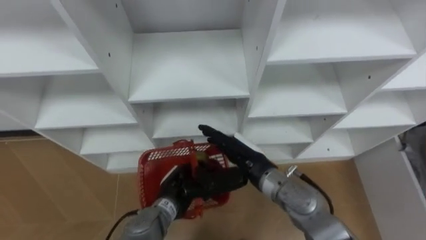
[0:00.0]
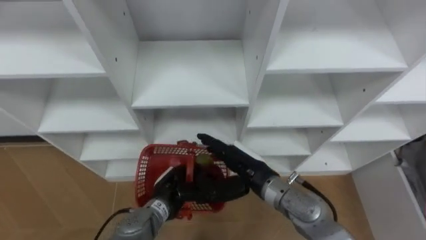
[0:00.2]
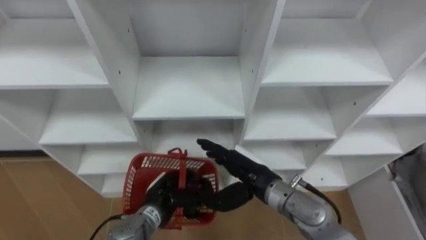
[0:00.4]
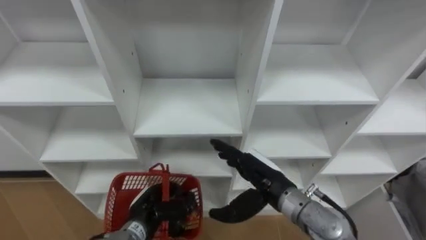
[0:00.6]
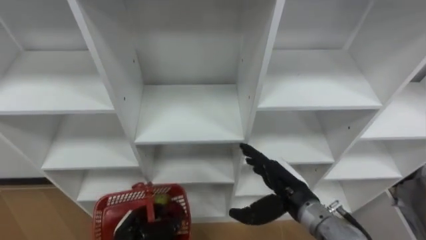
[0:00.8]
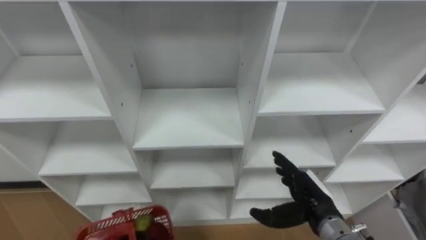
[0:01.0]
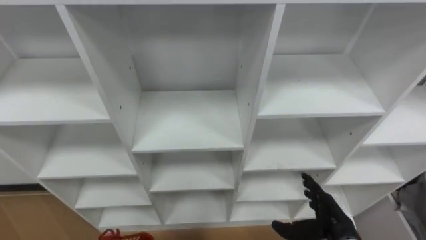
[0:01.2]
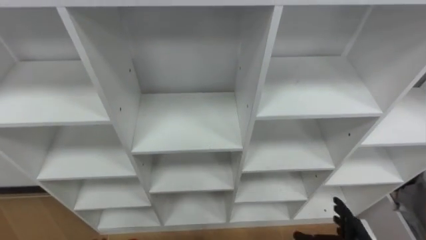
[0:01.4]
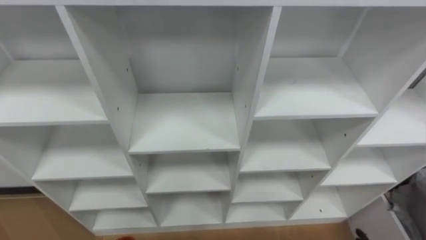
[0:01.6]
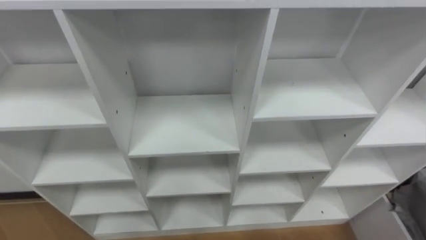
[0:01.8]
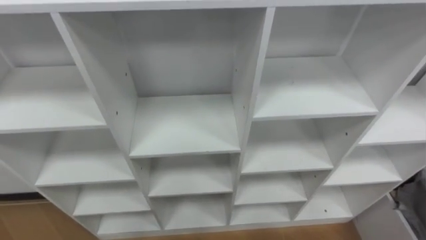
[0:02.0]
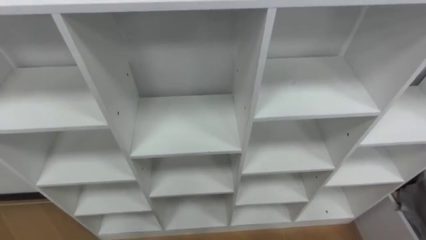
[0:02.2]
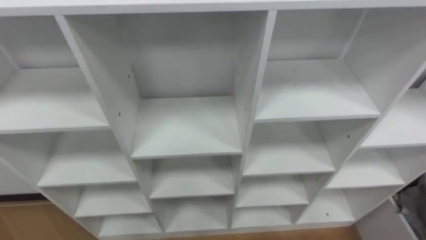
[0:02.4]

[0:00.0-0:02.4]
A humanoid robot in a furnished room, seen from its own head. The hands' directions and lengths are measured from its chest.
Task of the whole recording: Hold the basket and collect the fruits from 3 different cells of the closet into it.
0:00.0 to 0:01.2: The right hand goes about 20 cm to the right, backward and downward.

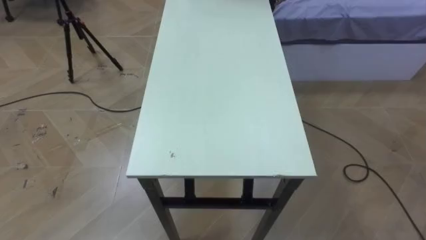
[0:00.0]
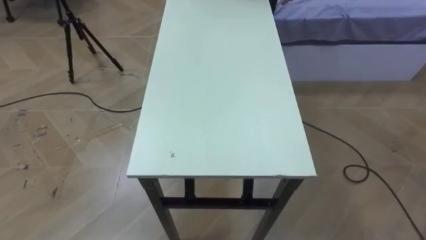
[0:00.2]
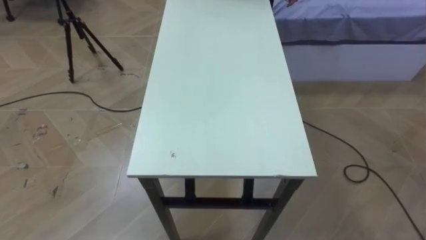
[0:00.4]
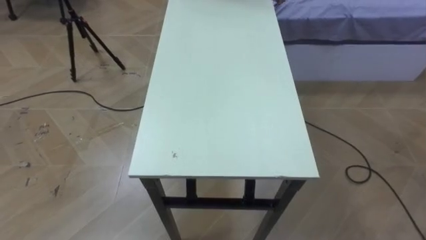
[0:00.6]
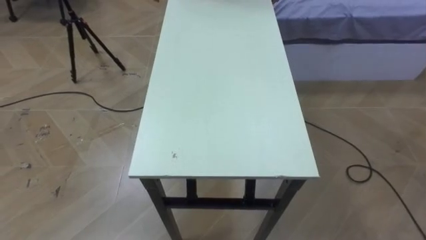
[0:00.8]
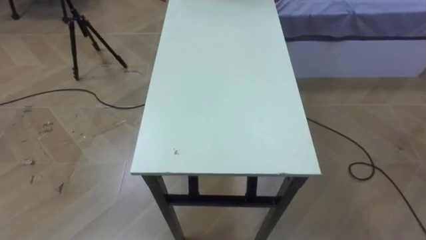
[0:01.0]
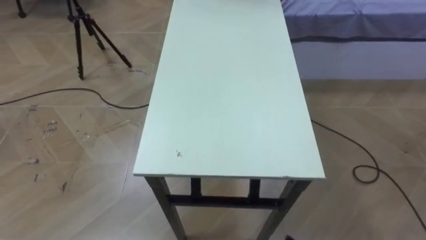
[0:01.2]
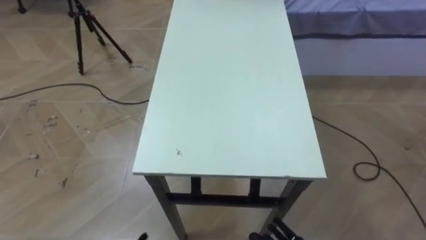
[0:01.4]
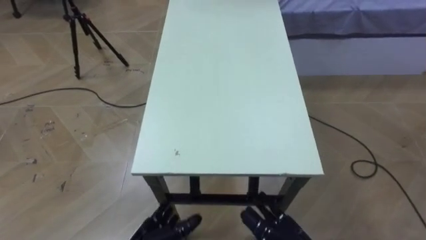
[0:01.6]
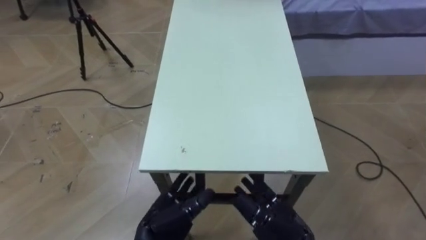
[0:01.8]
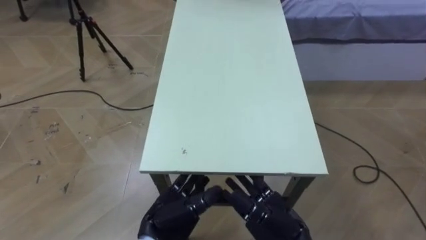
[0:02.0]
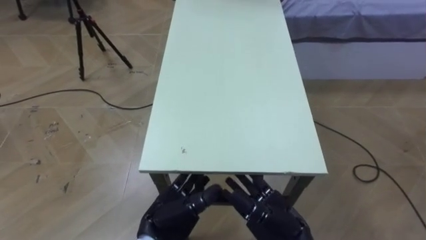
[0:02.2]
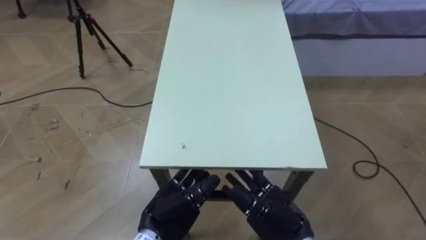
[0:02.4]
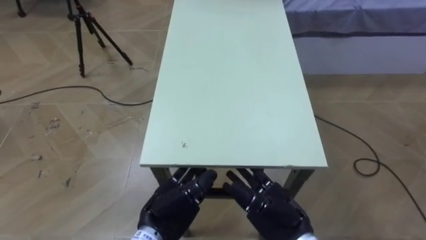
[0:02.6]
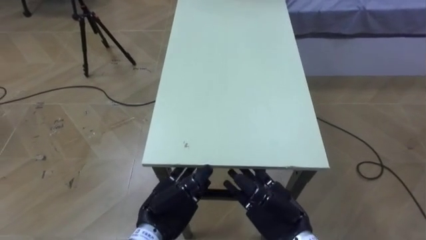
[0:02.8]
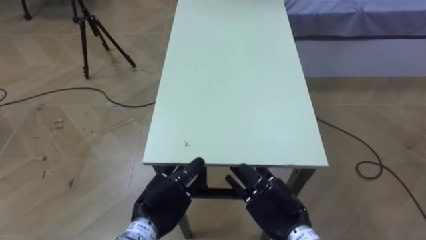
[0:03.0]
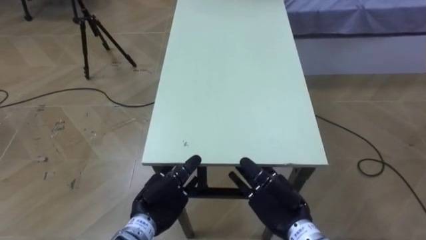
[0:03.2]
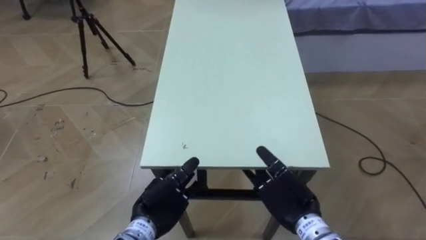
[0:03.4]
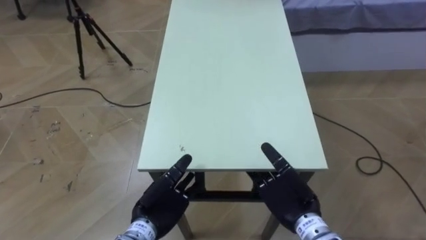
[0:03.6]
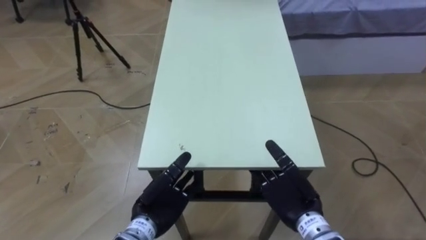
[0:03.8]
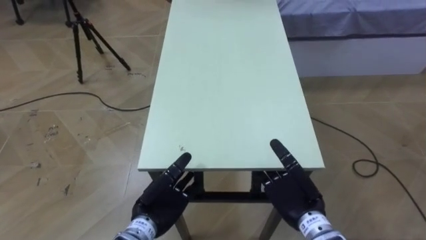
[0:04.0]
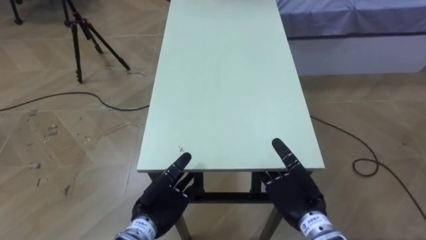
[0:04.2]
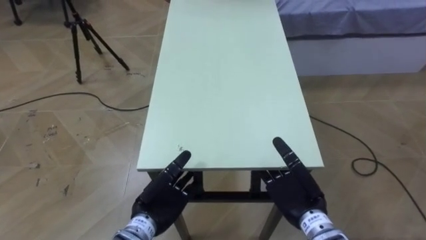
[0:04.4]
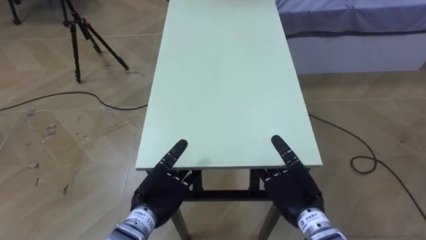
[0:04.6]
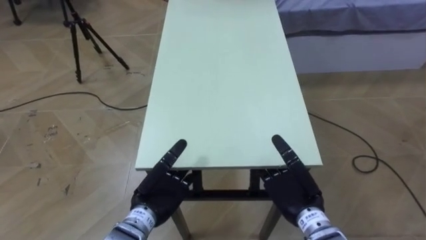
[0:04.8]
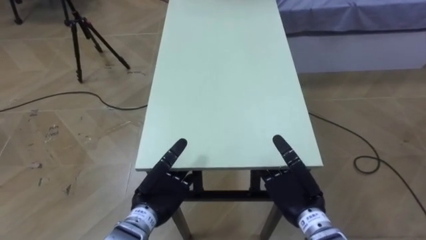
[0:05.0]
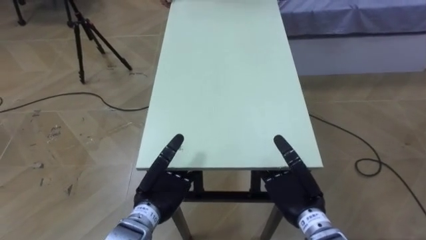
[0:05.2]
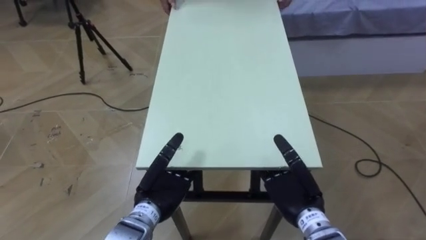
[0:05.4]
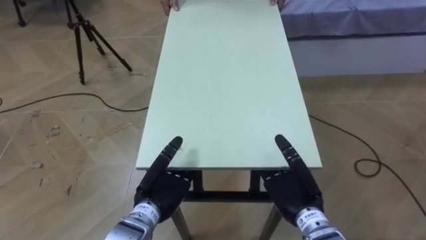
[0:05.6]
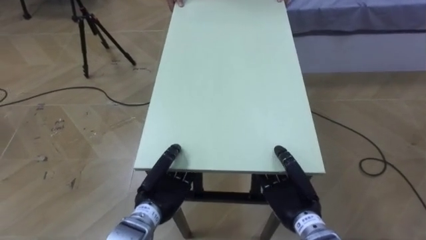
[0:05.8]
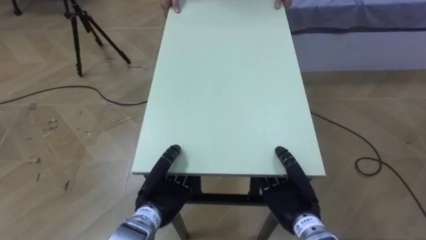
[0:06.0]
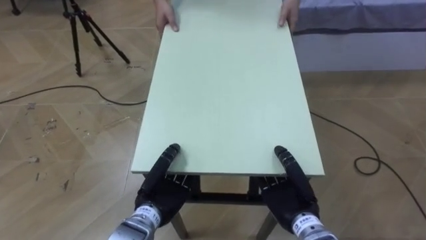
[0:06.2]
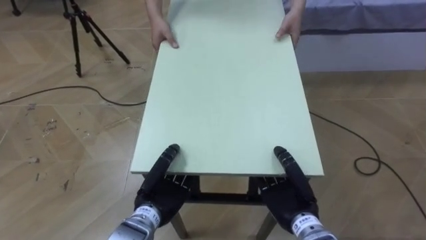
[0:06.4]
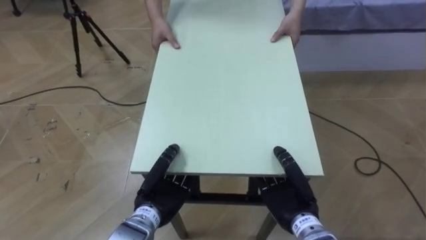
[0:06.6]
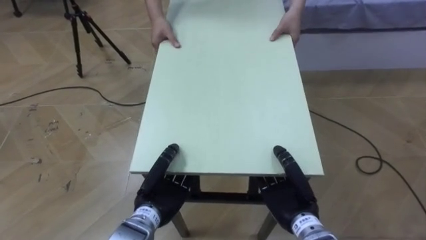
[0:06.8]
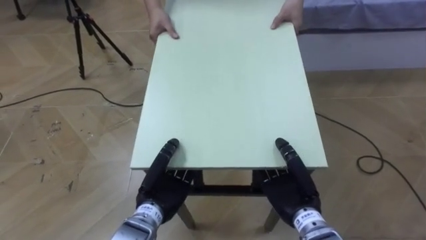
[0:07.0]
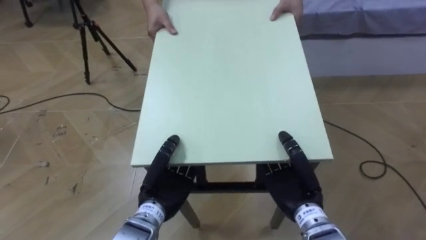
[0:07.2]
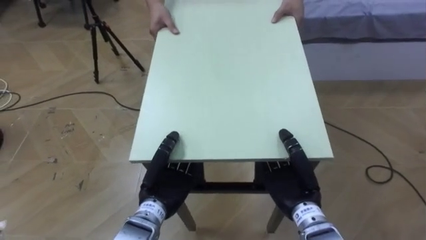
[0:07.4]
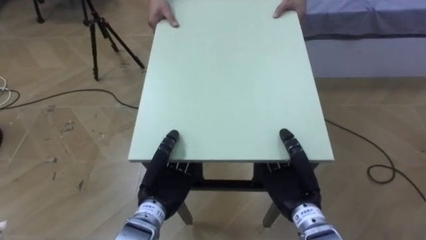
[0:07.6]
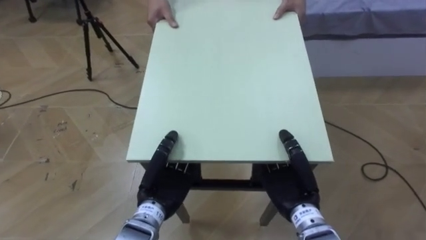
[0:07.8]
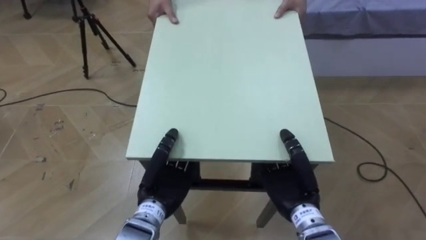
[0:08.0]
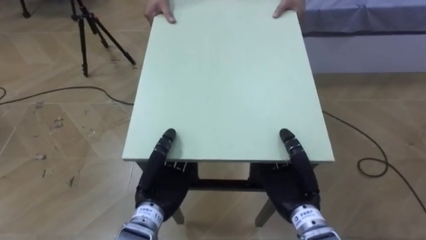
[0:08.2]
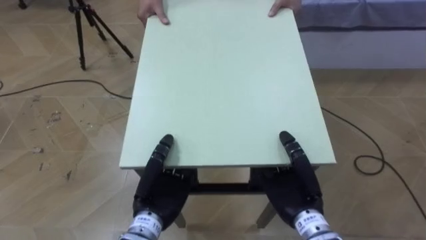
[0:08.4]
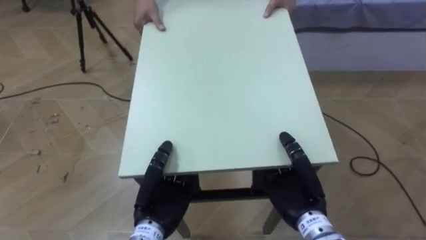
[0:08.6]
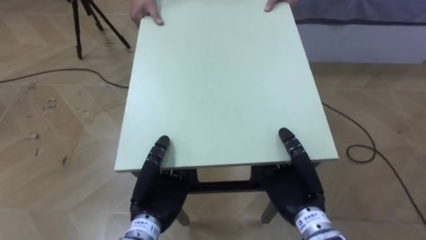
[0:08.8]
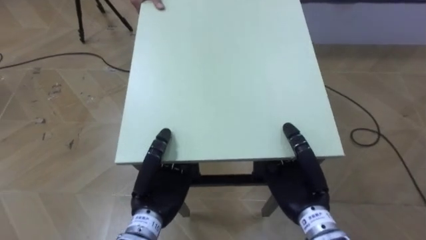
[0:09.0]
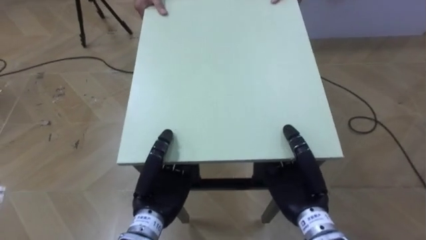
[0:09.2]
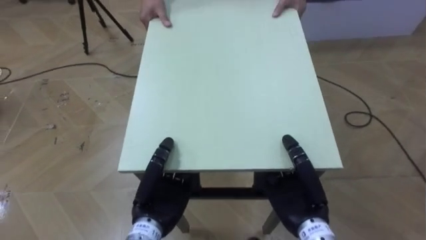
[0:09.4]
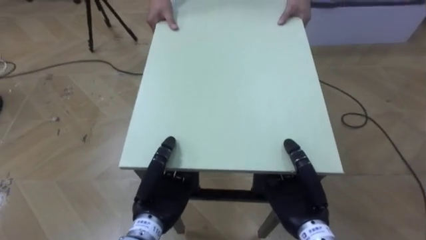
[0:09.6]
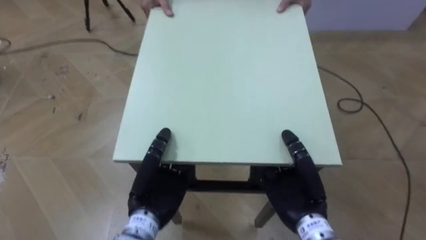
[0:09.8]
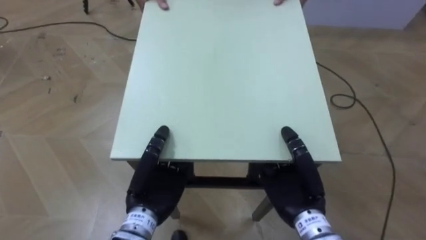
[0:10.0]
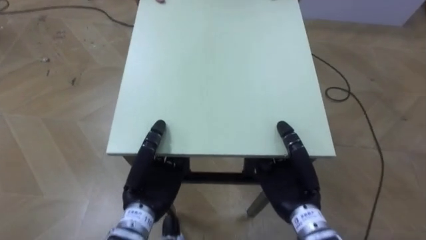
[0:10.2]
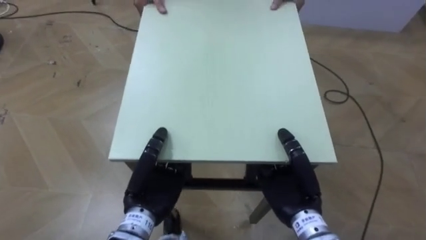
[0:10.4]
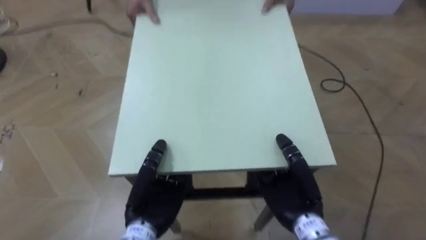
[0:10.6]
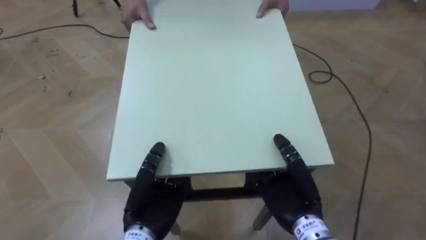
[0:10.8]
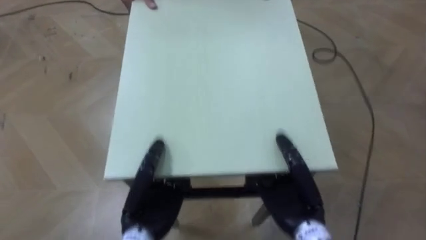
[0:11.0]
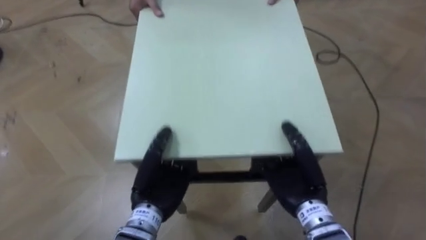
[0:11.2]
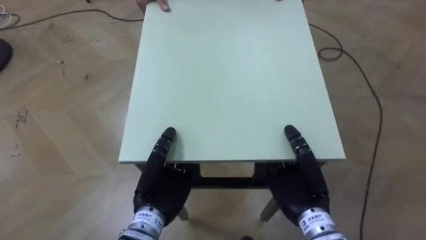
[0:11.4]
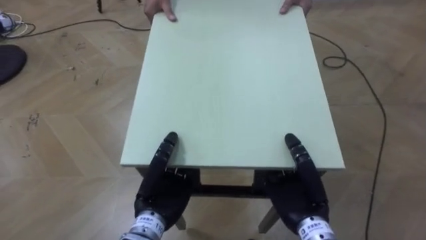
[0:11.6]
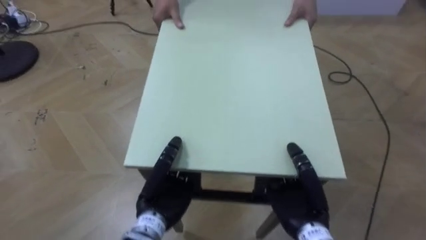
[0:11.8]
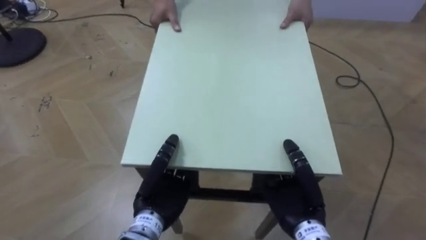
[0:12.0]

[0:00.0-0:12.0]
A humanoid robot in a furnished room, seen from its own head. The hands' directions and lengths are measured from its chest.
Task of the whole recording: Move the table to the back left with someone.
0:03.0 to 0:04.4: There are only small adjustments of the hands.
0:04.4 to 0:06.0: The left hand closes. The right hand closes its fingers.

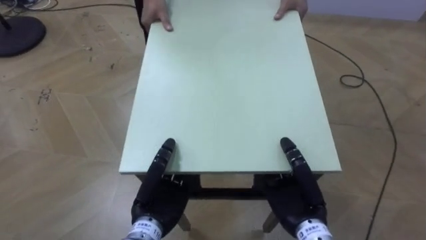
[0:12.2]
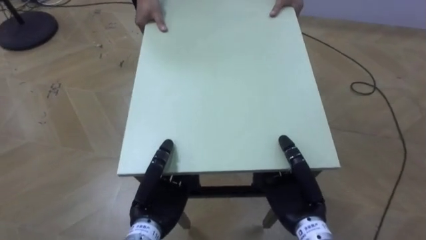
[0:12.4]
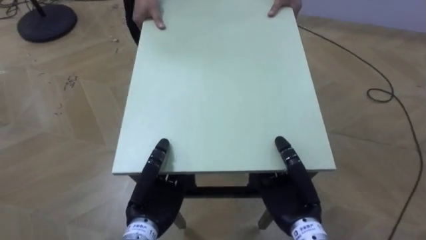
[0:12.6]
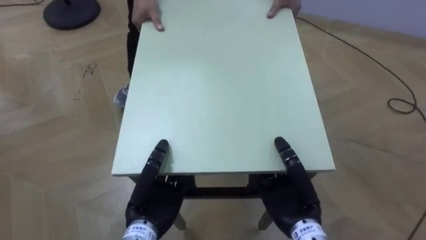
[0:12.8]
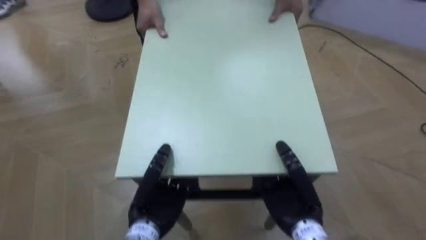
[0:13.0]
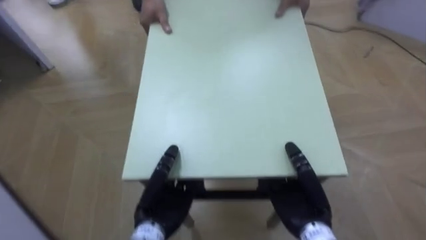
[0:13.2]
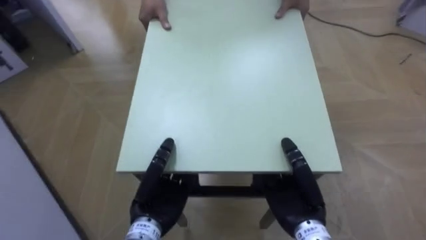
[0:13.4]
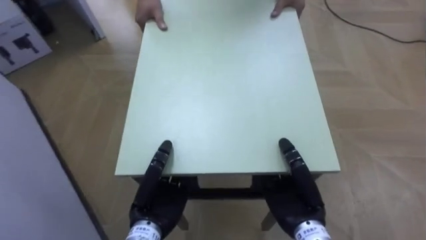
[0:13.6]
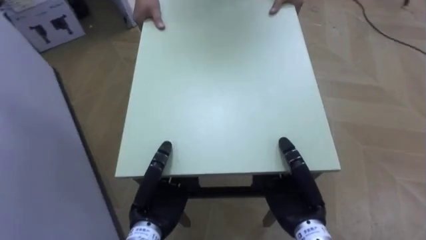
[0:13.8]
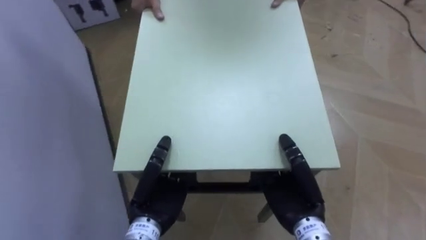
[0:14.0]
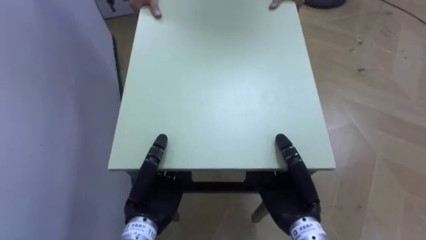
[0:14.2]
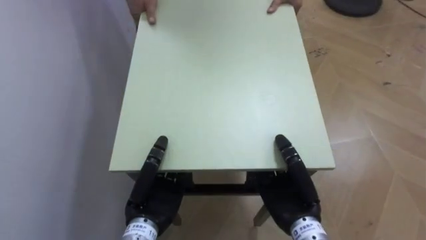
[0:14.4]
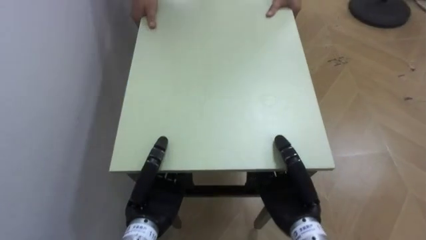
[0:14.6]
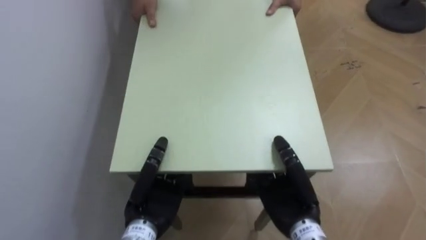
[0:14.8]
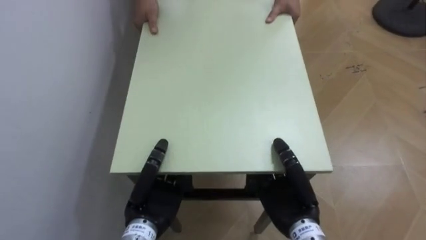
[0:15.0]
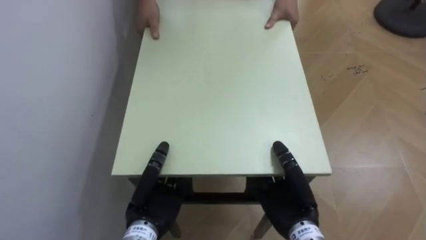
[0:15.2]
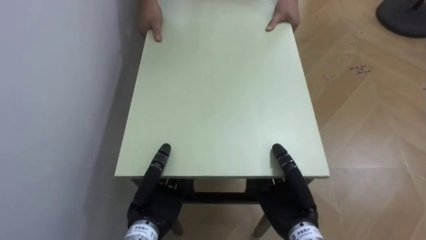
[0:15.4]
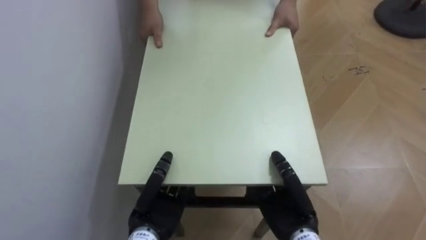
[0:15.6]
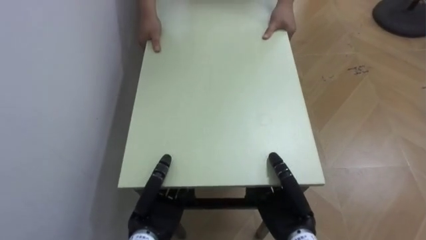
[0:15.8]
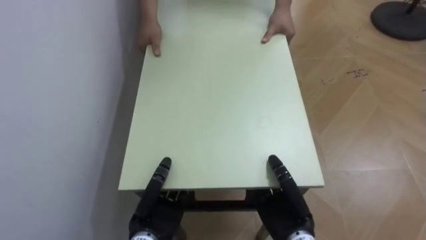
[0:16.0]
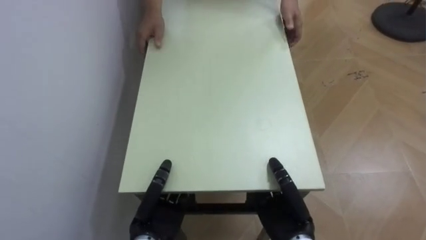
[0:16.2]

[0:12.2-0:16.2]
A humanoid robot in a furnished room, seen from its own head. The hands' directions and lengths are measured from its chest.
Task of the whole recording: Move the table to the back left with someone.
0:12.2 to 0:13.6: The robot's body swings some 40 degrees to its left.
0:13.6 to 0:14.8: The robot's body swings some 40 degrees to its left.
0:14.8 to 0:16.2: The left hand travels downward by some 5 cm. The right hand shifts by about 5 cm.
